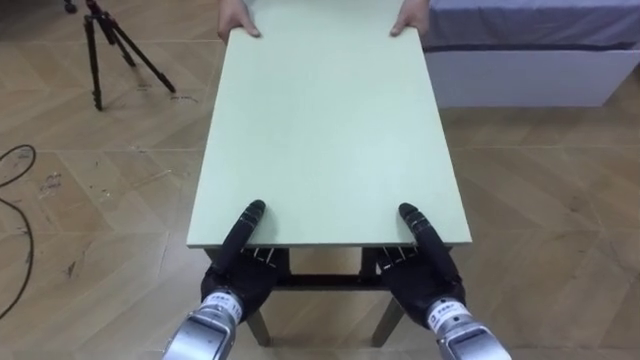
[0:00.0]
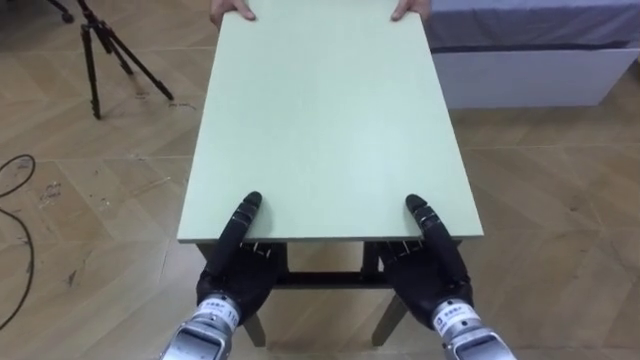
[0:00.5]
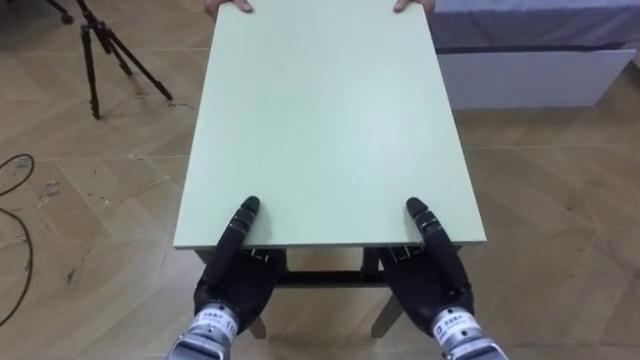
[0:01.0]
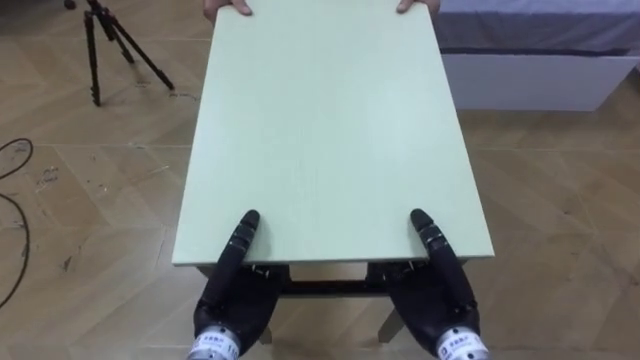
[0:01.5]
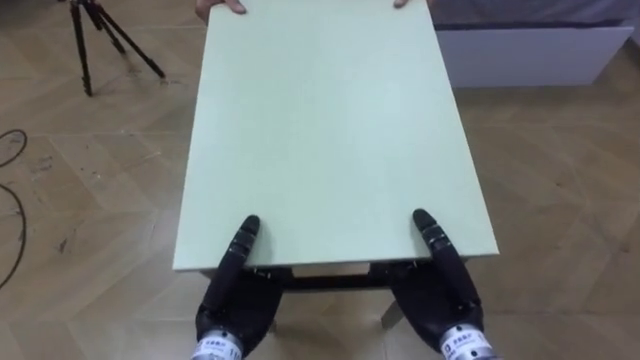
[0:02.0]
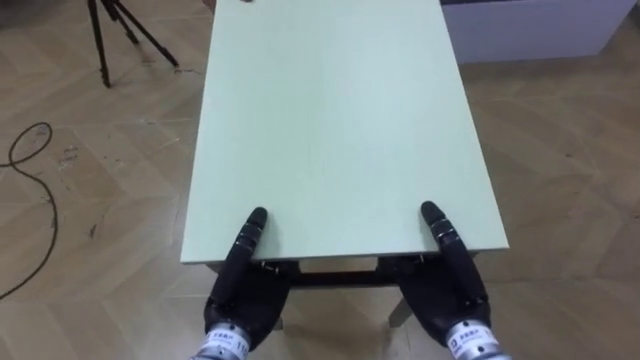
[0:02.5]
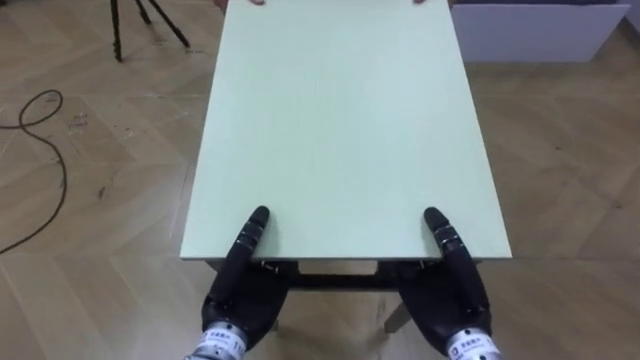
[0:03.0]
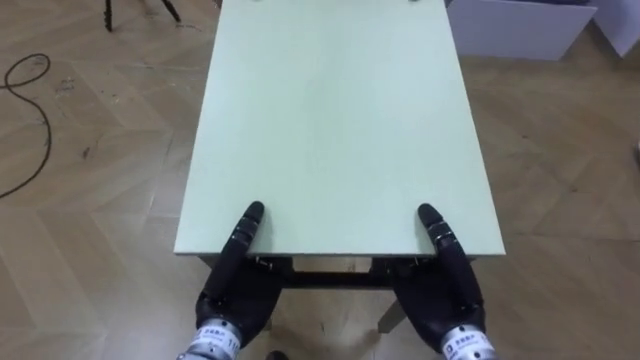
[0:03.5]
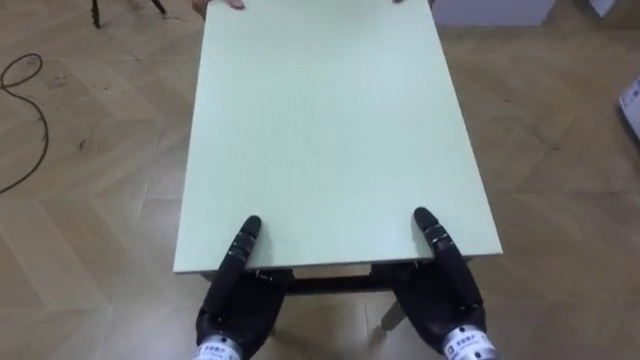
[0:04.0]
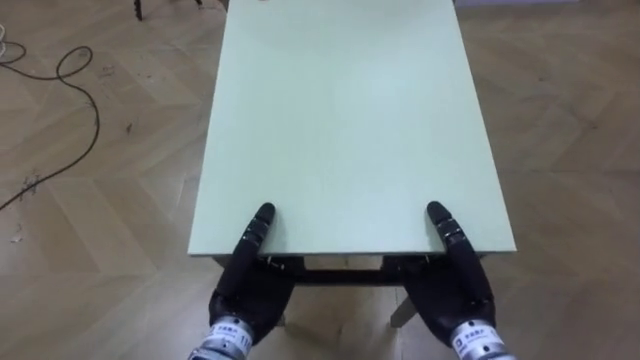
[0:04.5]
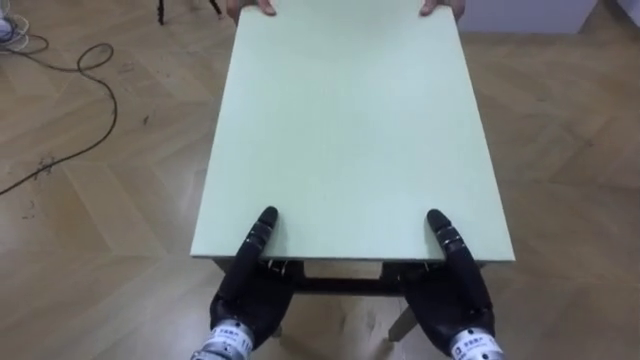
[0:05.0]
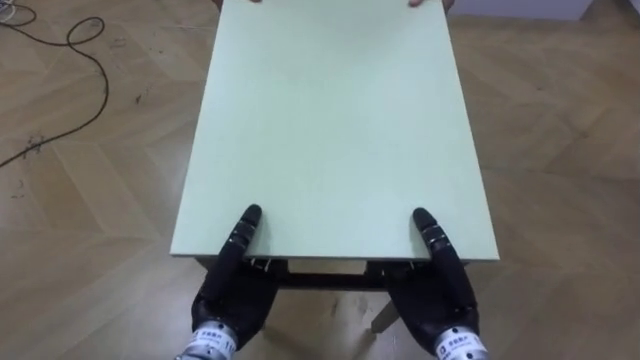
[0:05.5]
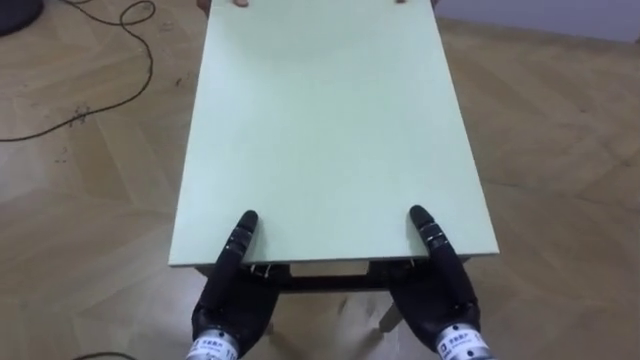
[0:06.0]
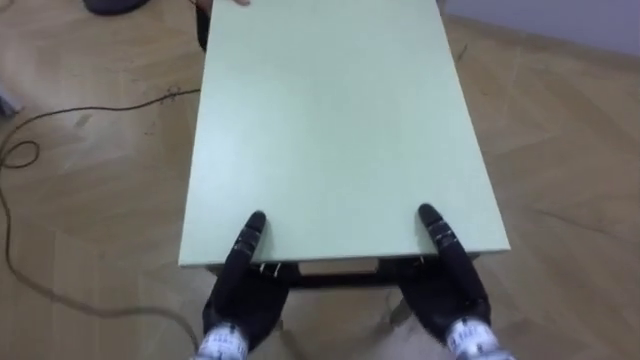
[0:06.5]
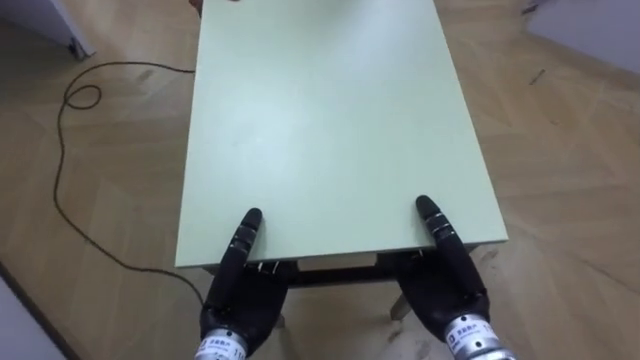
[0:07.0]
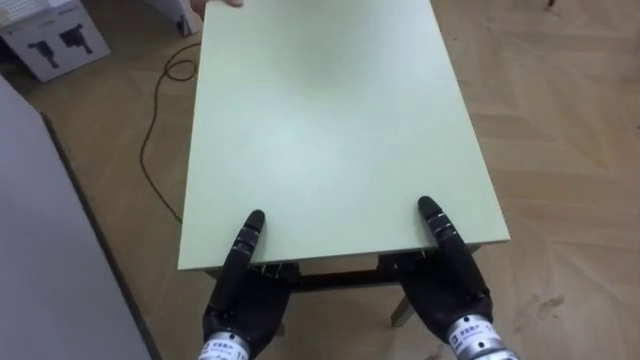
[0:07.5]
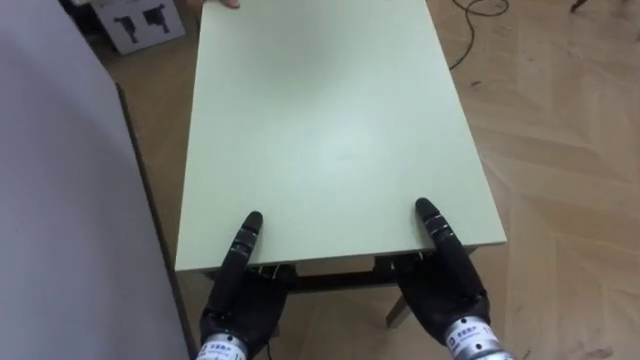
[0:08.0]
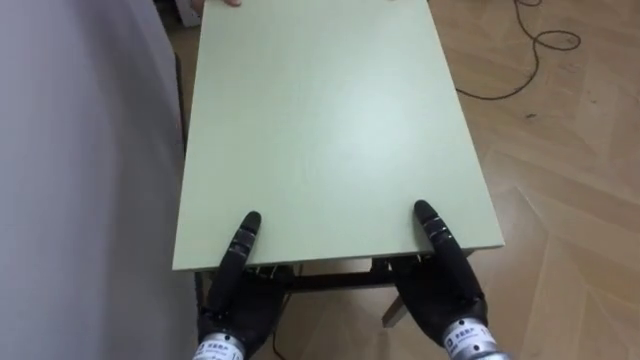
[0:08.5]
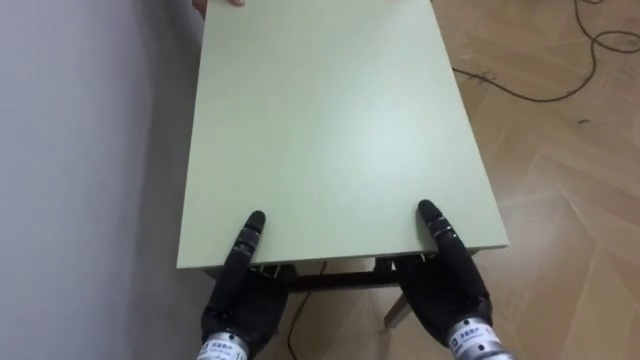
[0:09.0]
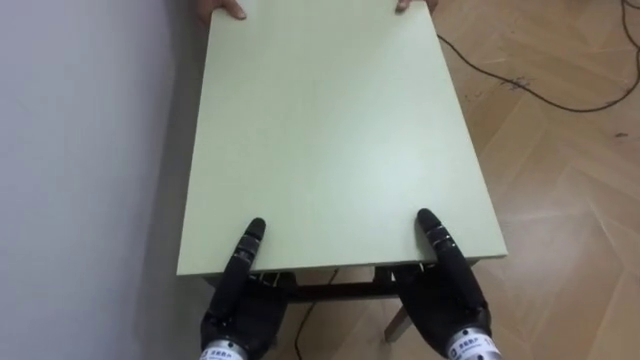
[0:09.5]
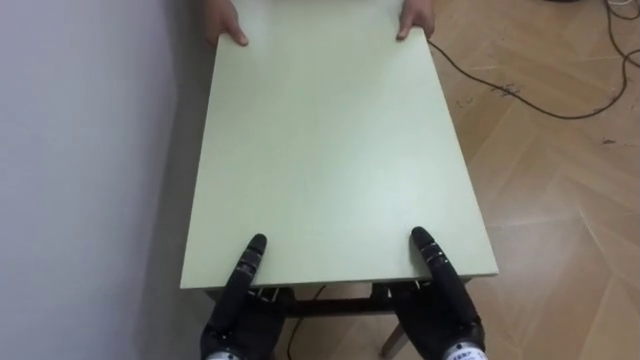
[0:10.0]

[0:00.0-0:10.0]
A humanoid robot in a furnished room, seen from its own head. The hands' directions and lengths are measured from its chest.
Task of the whole recording: Move the table to the back left with someone.
0:00.0 to 0:02.0: The left hand shifts by approximately 5 cm.
0:06.0 to 0:08.0: The robot turns to its left by some 55 degrees.
0:08.0 to 0:10.0: The robot rotates approximately 25 degrees to its left.

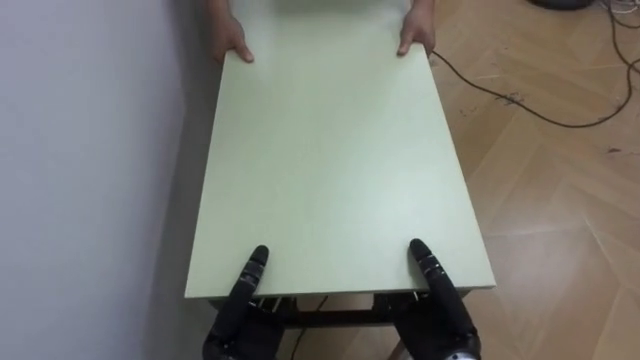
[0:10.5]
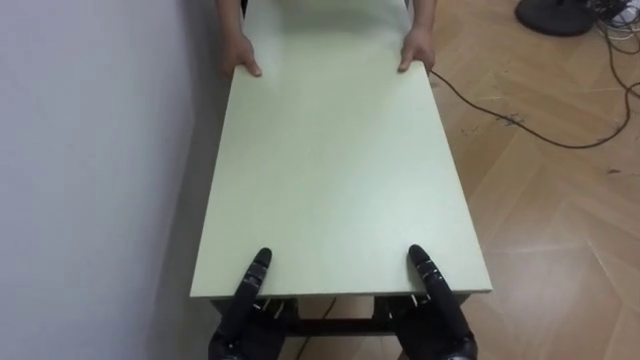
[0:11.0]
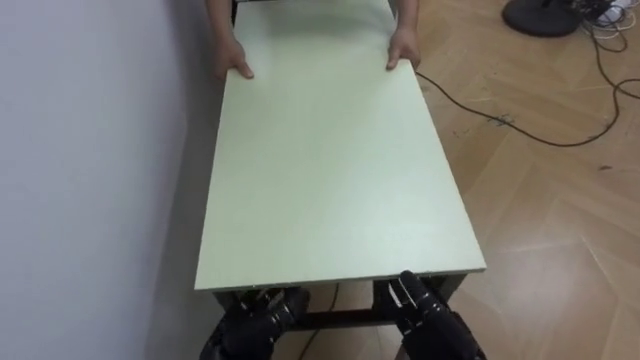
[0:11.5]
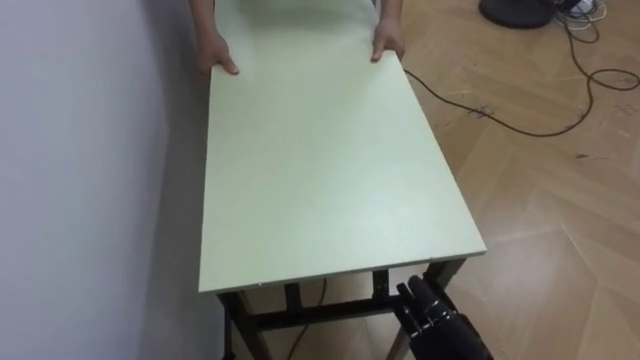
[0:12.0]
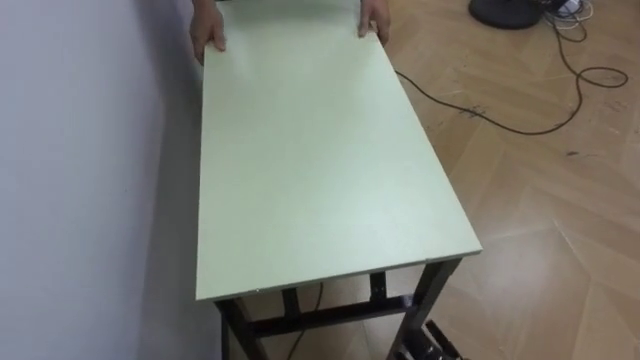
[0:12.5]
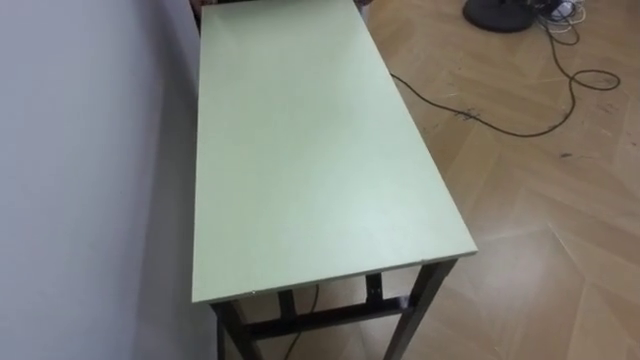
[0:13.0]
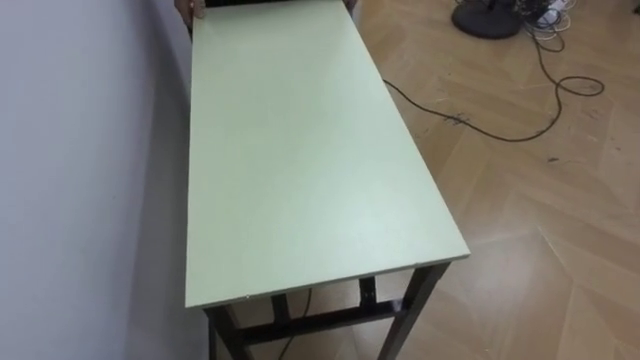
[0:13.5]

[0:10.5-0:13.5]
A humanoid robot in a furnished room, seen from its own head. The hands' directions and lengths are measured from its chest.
Task of the whole recording: Move the table to the back left with someone.
0:10.5 to 0:12.0: The right hand ends up approximately 5 cm from where it was, and opens.

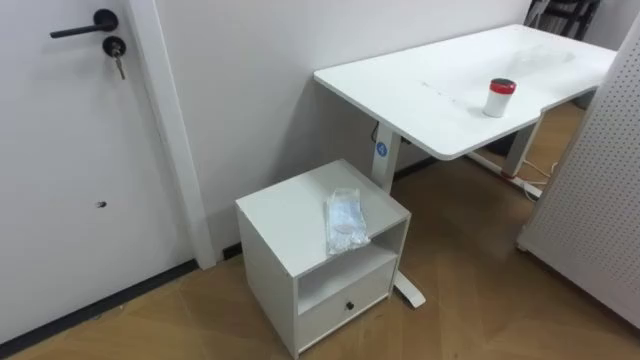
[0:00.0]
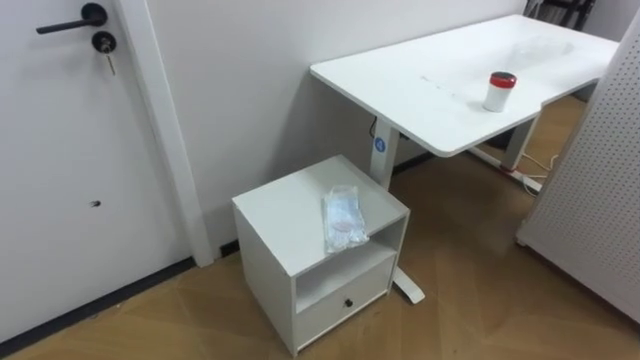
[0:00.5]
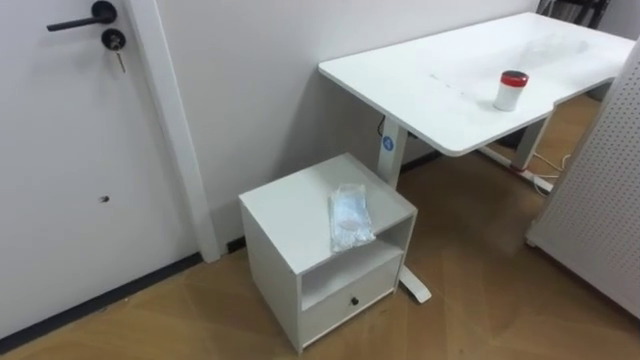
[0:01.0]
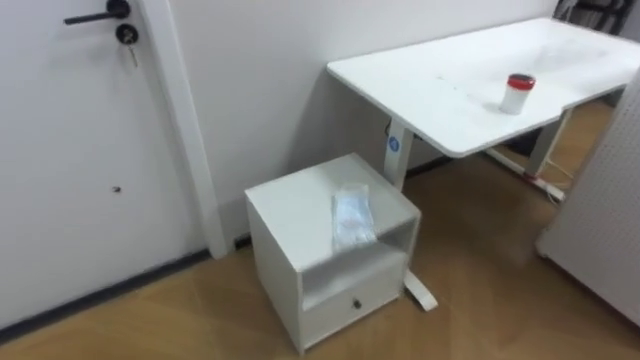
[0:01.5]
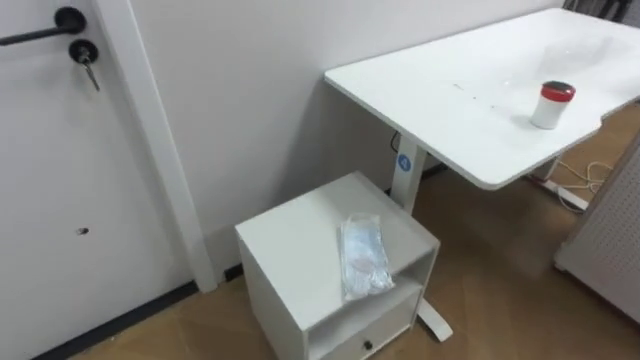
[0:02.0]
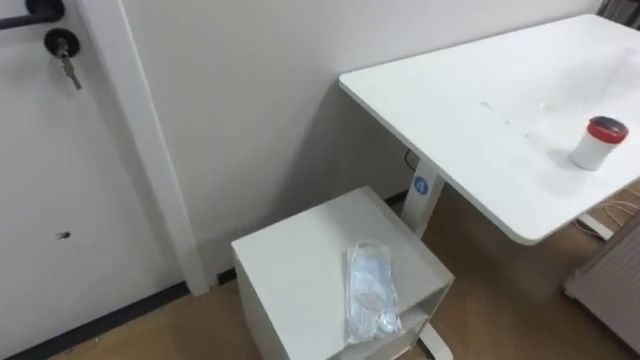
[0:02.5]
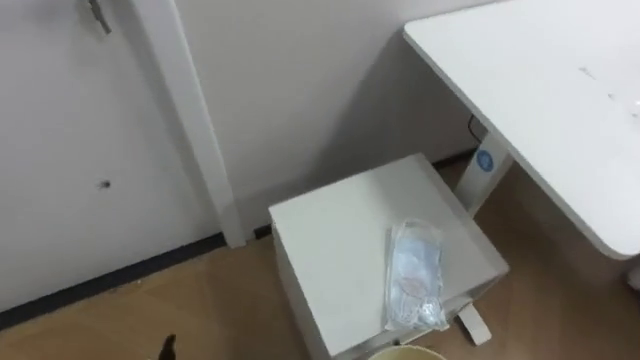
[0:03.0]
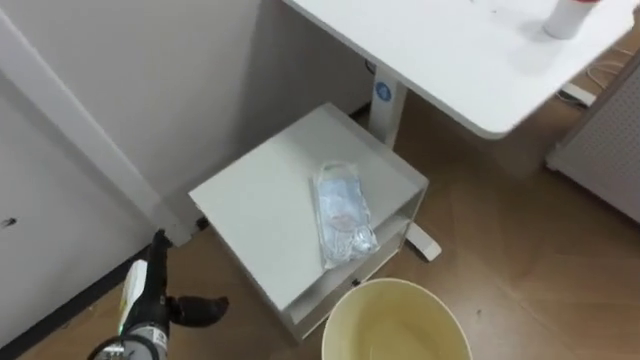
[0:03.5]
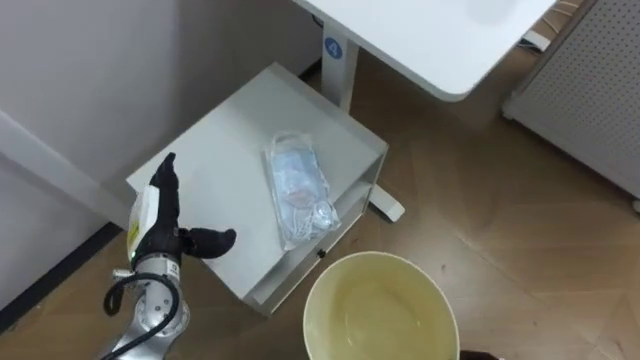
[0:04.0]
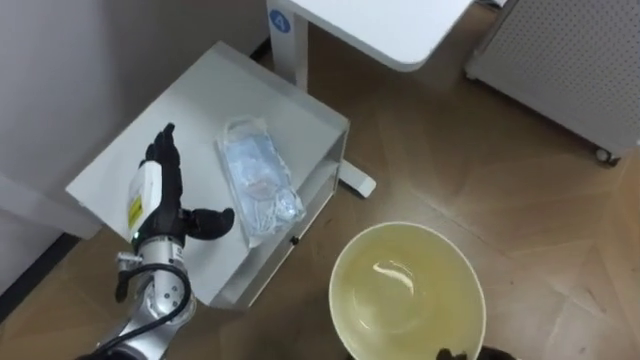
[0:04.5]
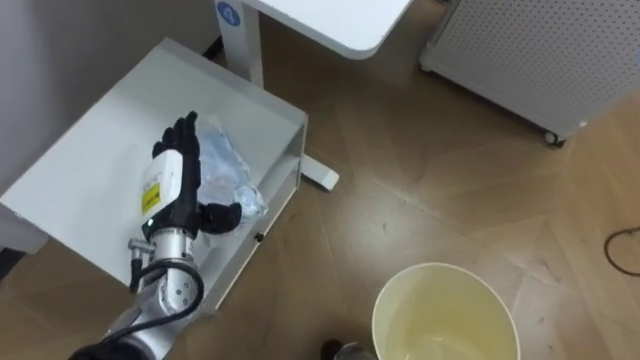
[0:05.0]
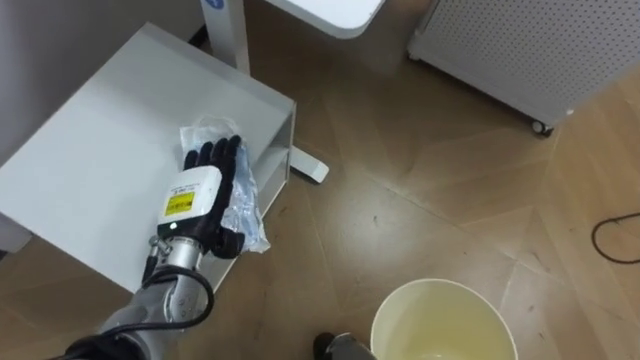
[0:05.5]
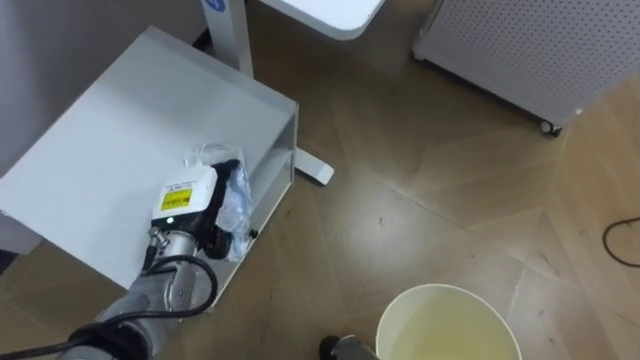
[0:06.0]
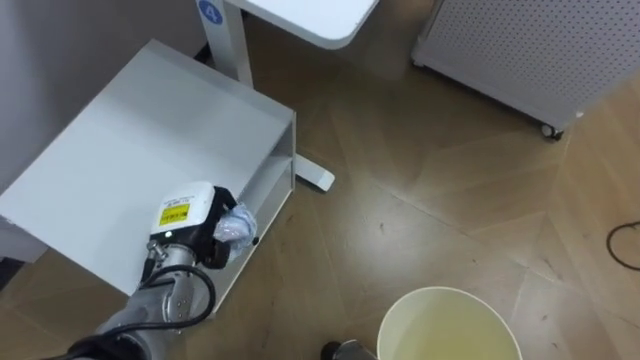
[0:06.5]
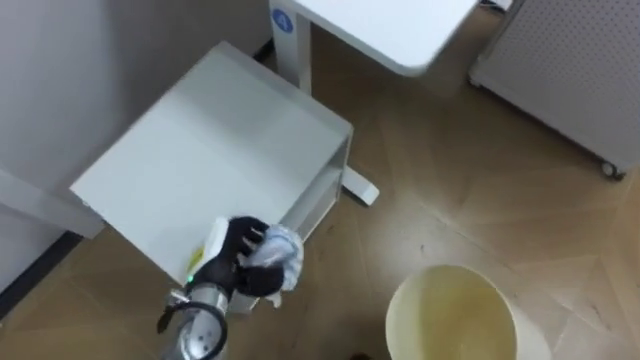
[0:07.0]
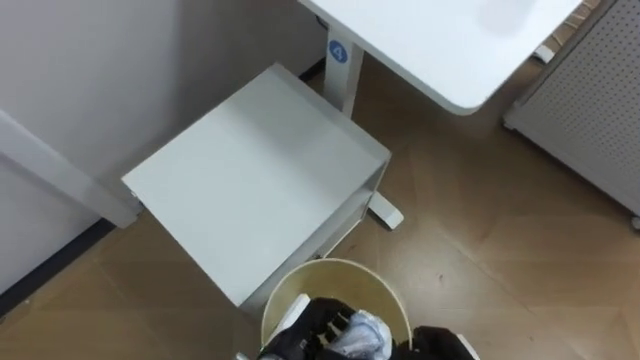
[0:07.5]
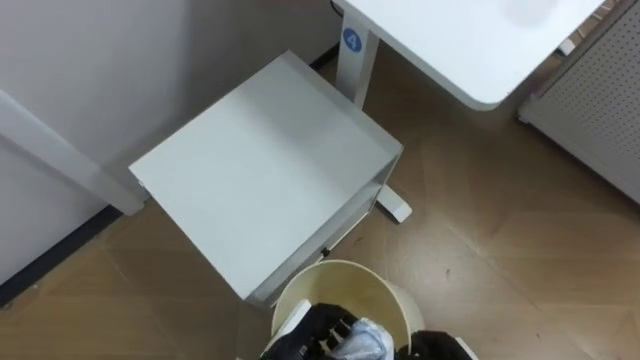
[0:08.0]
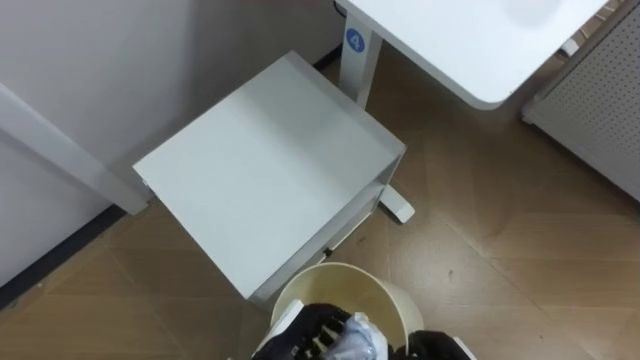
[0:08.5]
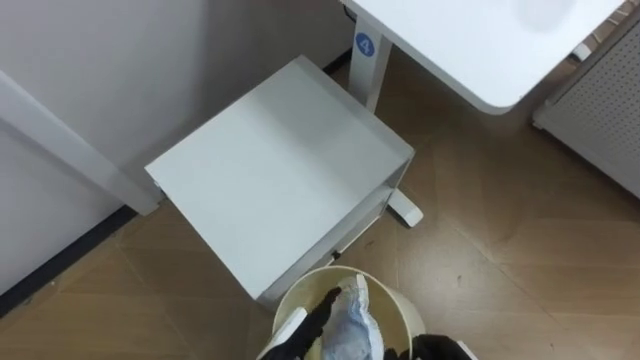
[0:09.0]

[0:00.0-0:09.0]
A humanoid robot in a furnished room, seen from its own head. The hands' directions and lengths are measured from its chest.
Task of the whole recording: Pick up the light blue package, the candy box, and the dark blue package separately, and put them into the trash can held in your right hand.
0:04.5 to 0:07.0: The left hand shifts about 10 cm downward and to the right, and closes.
0:07.0 to 0:09.0: The left hand moves to the right, backward and downward, roughly 15 cm, and opens its fingers.
